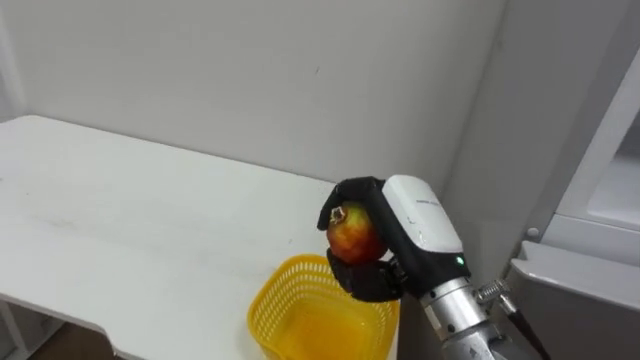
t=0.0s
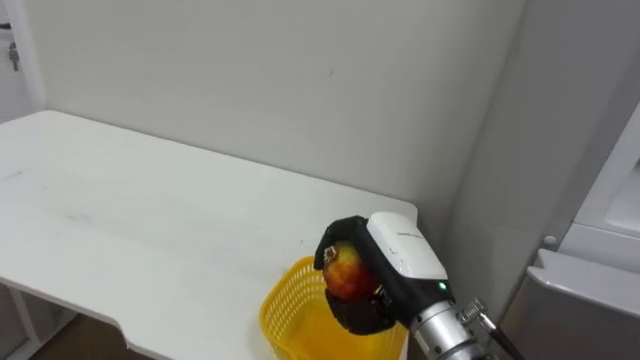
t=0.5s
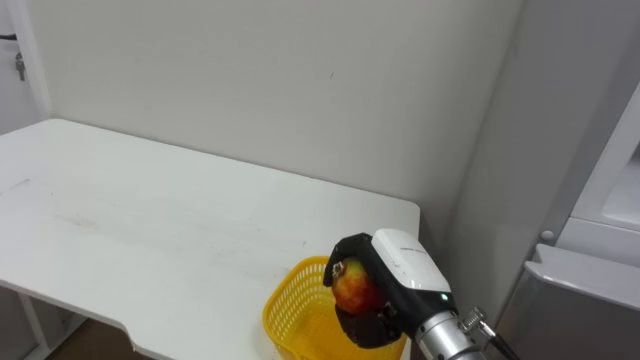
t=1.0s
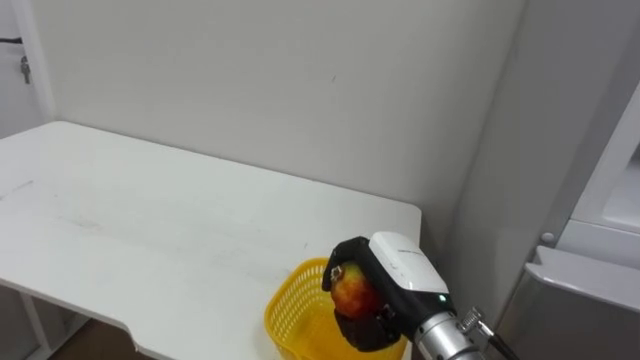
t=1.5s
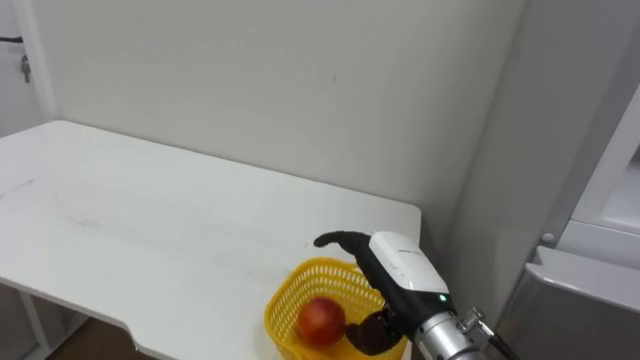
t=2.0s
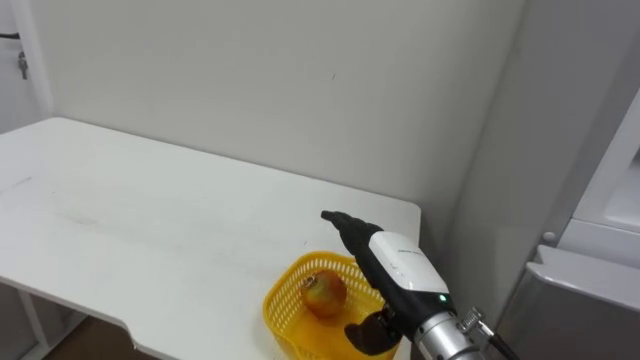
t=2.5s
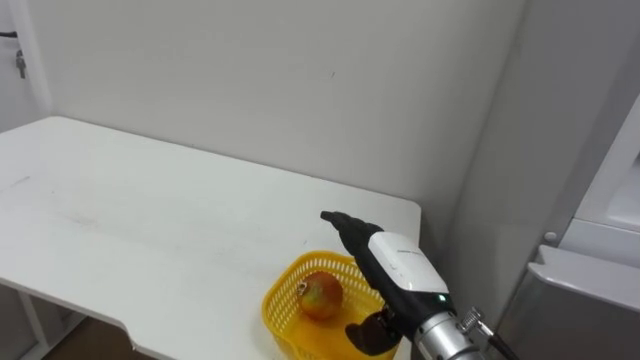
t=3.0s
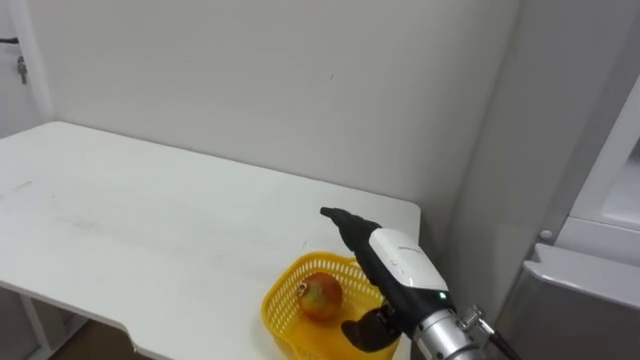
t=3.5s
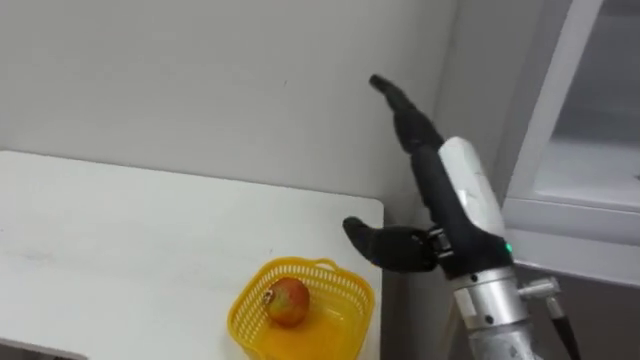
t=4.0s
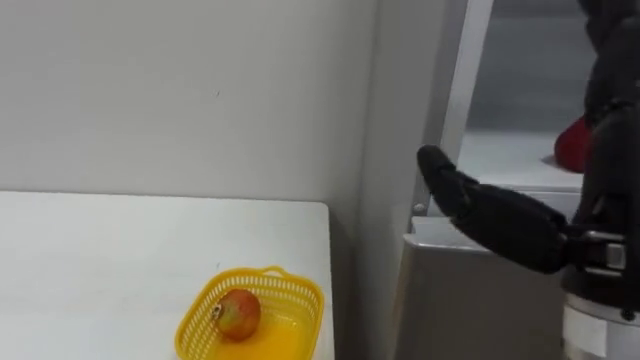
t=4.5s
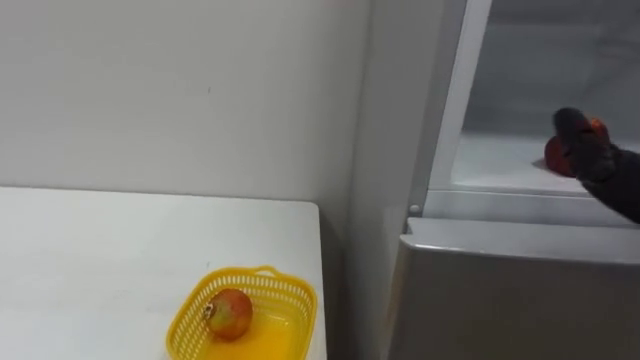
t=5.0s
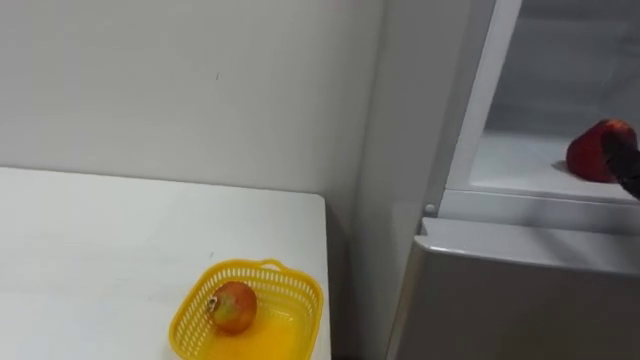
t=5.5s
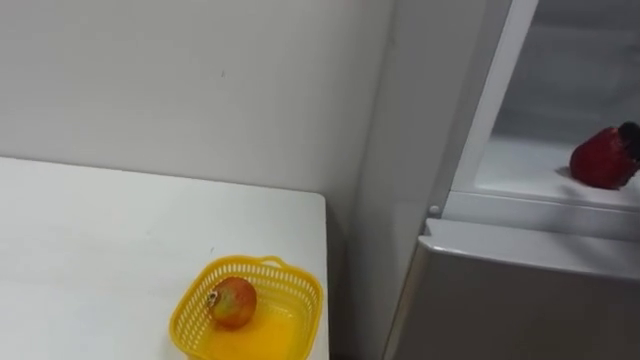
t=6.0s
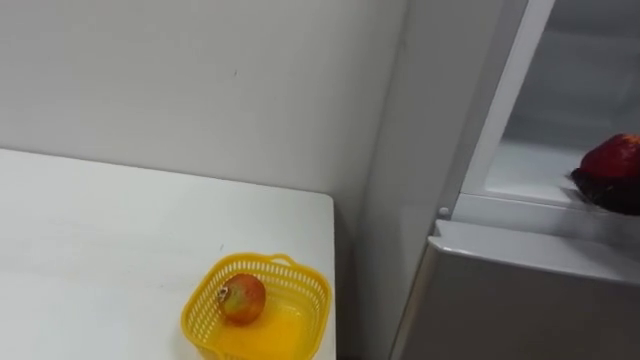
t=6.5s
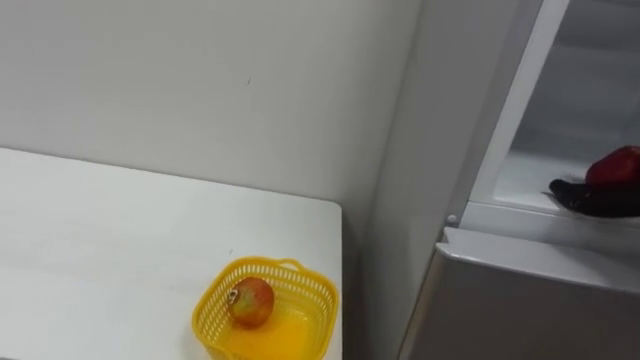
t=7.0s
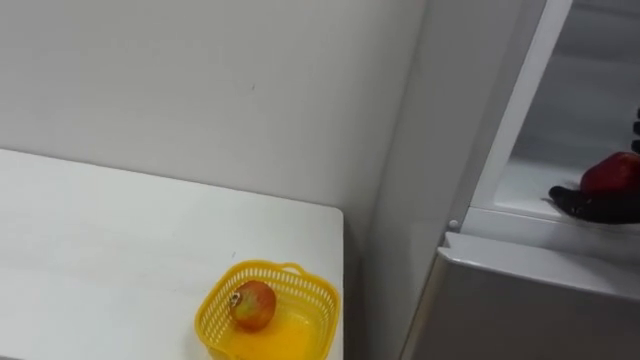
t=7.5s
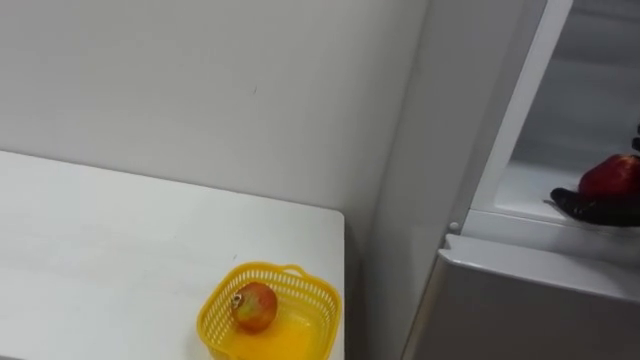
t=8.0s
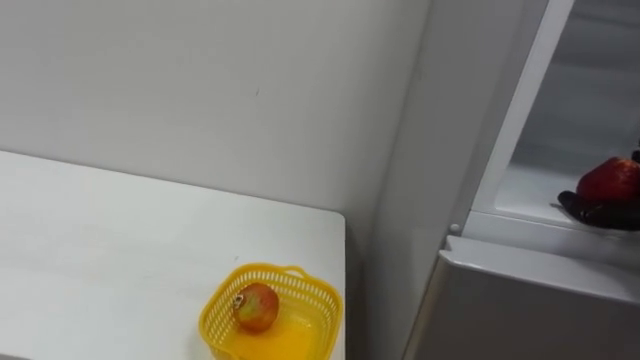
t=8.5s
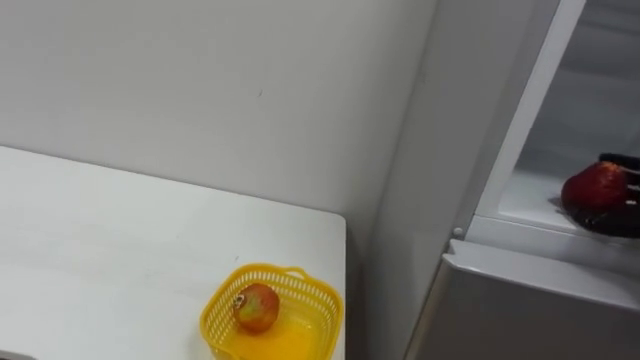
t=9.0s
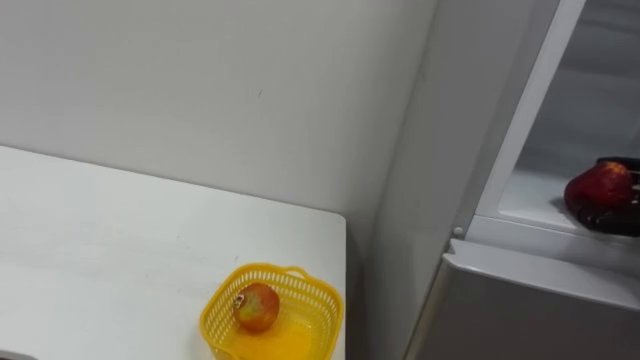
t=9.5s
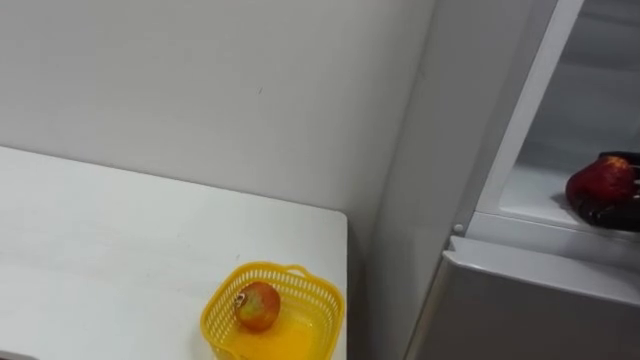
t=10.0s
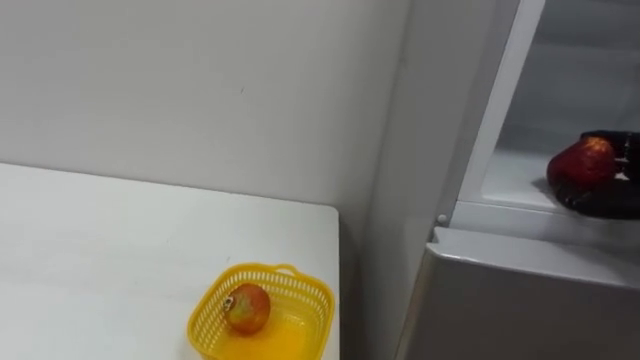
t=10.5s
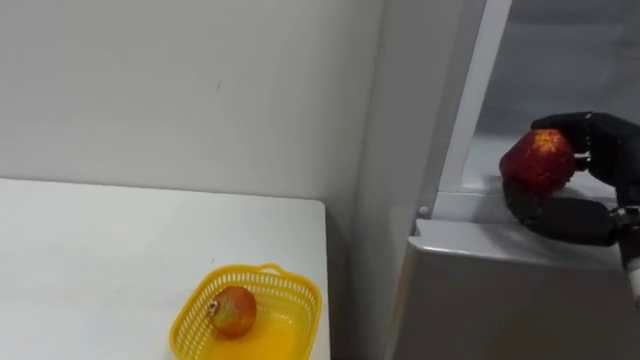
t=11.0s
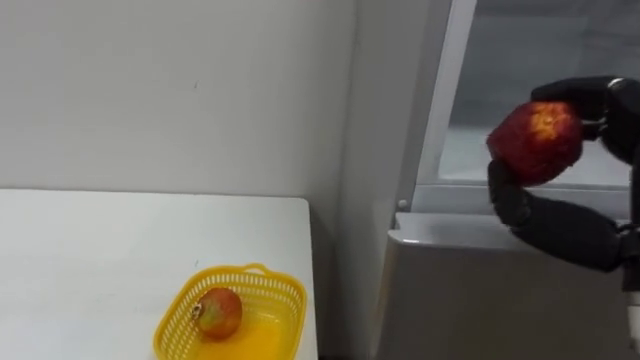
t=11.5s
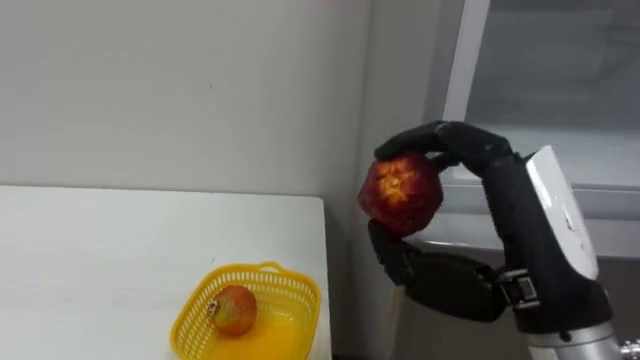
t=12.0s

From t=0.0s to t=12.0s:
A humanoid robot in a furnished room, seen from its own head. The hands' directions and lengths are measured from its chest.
Task of the whole recording: Open the refrigerator door, take out the apple and the pomegranate, place them in the fruit basket on the left, and close the refrigerator door.
From t=0.0s to t=2.0s: The right hand heads downward, covering some 10 cm, and opens.
From t=2.0s to t=4.0s: The right hand goes some 10 cm upward.

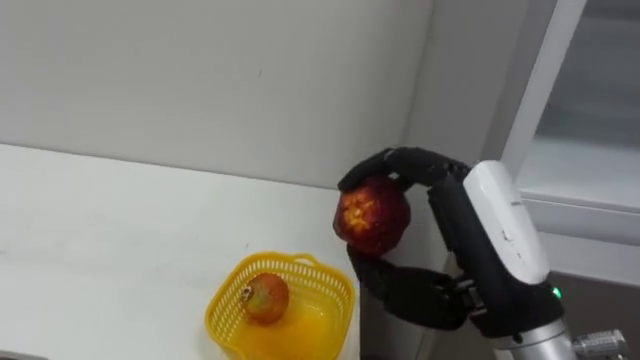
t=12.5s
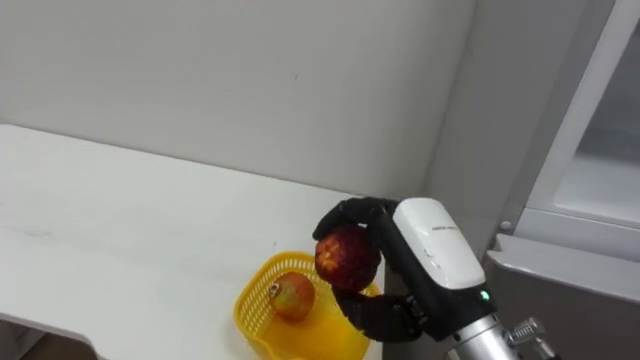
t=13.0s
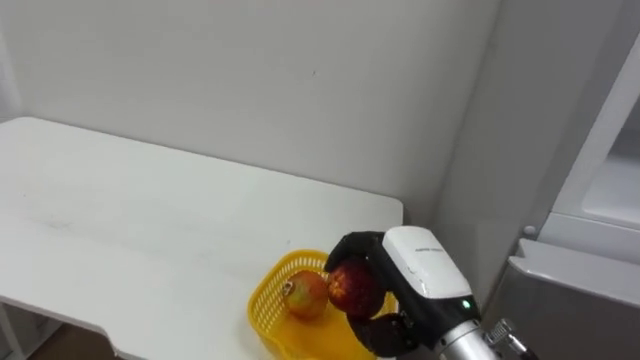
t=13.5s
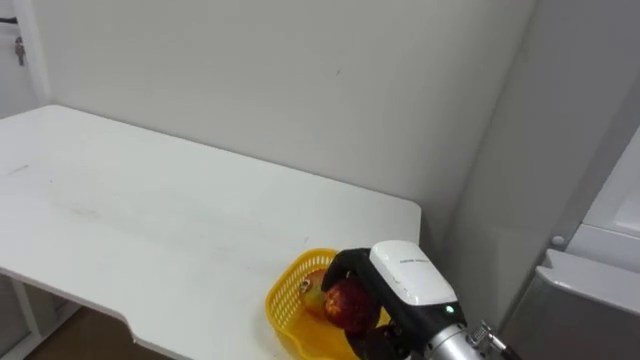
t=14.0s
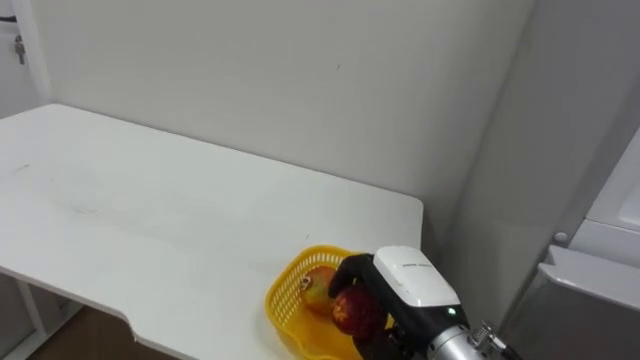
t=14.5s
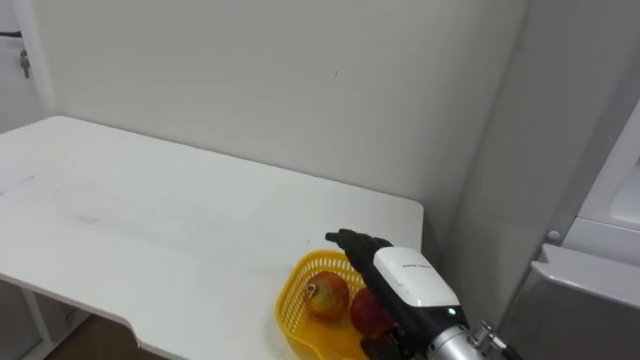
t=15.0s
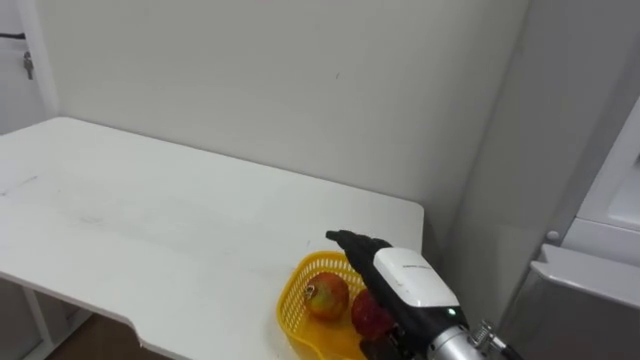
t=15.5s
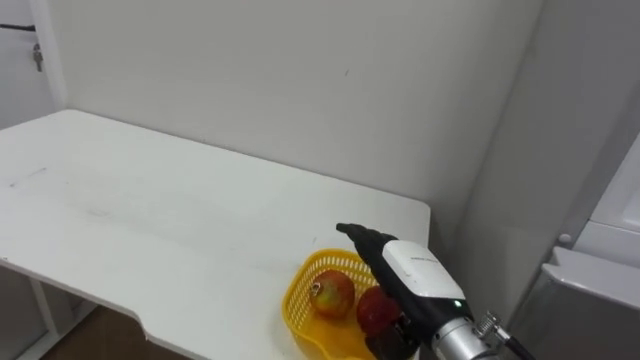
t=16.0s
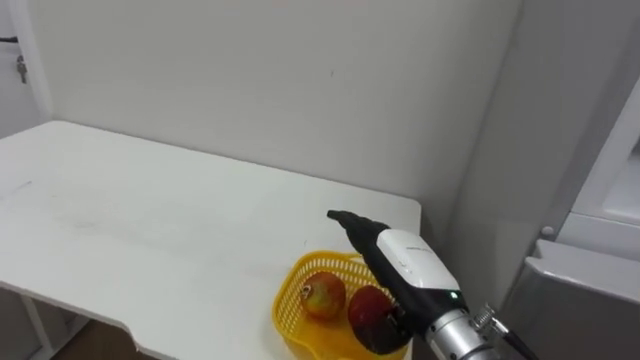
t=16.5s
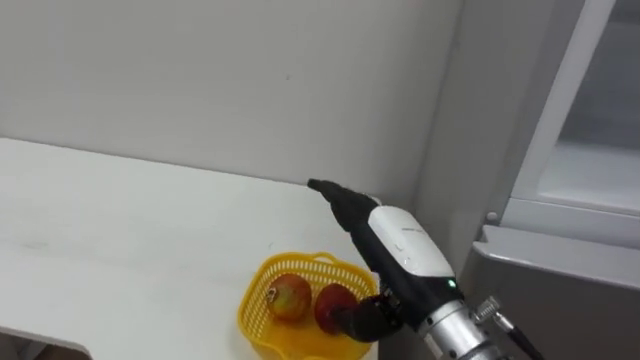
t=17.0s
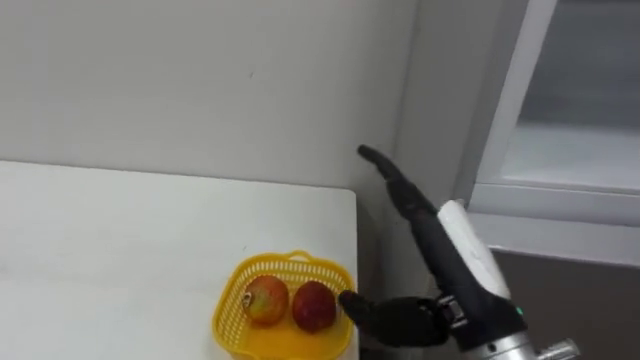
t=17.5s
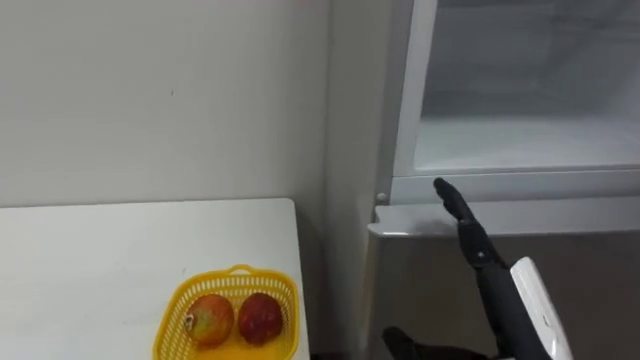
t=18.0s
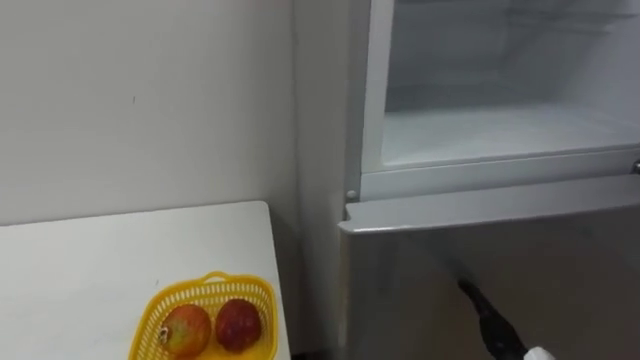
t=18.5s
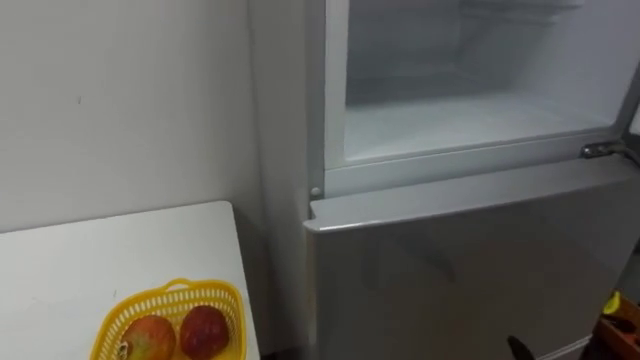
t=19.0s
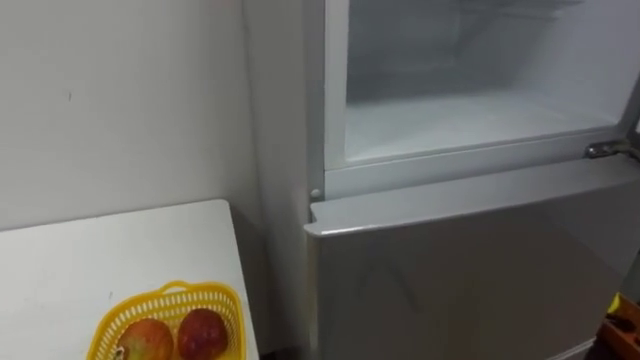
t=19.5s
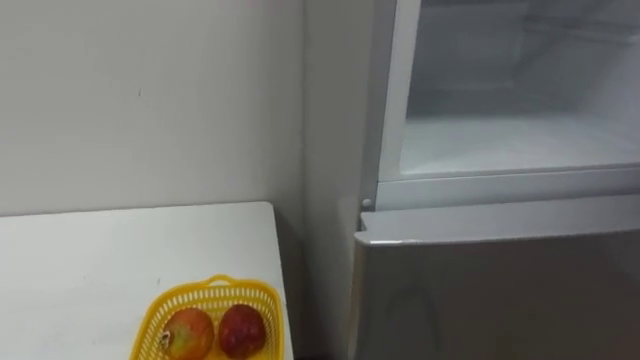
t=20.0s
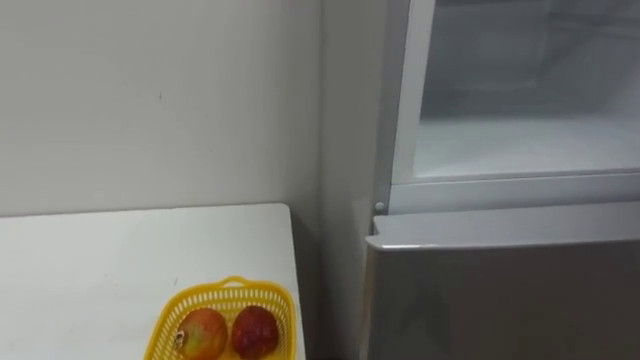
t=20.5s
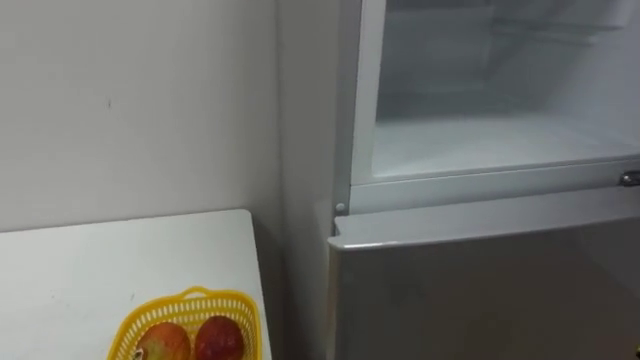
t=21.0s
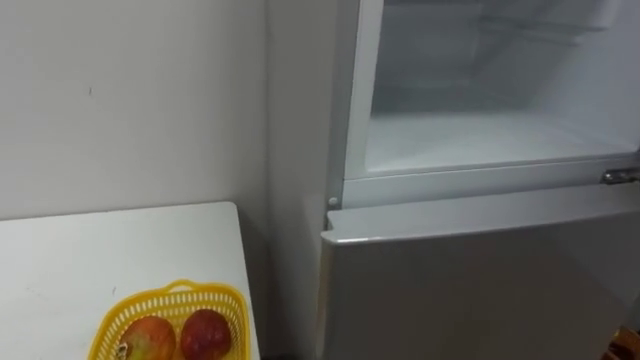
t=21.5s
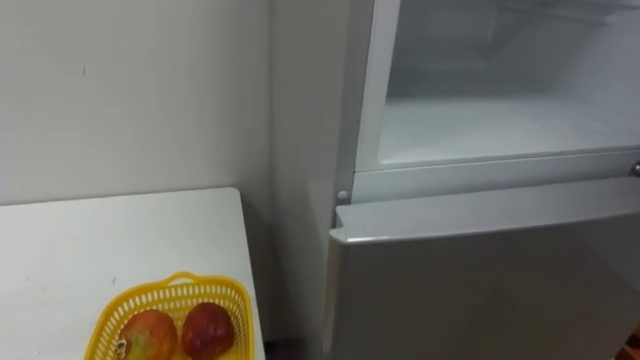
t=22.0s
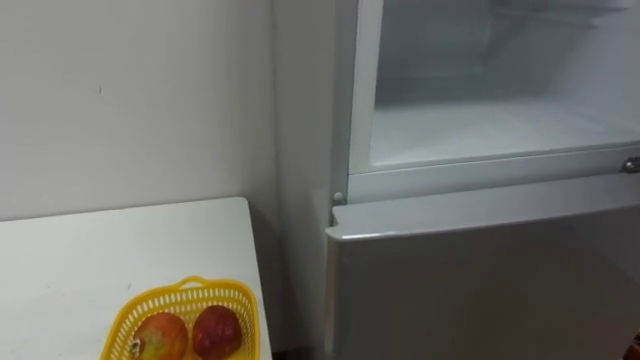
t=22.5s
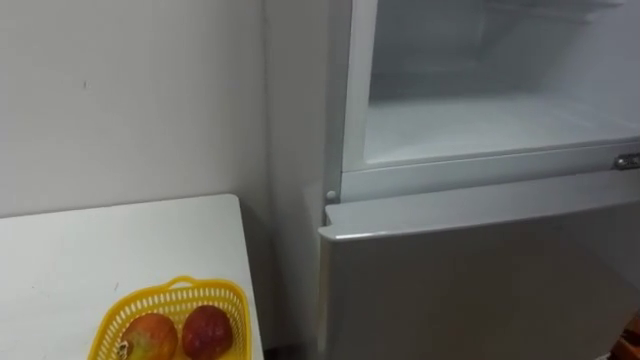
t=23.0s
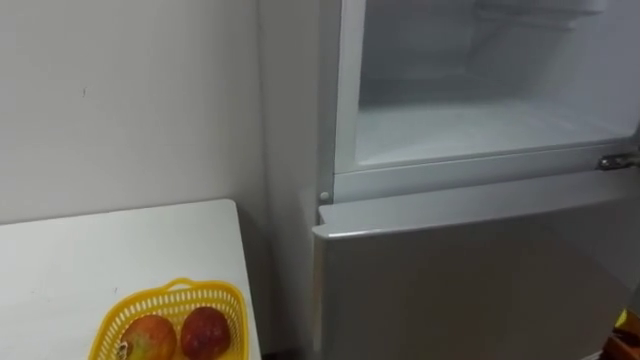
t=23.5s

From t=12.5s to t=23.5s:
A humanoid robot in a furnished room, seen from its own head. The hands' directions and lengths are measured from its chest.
Task of the whole recording: Open the refrigerator door, take out the apple and the pomegranate, place them in the fruit basket on the left, and close the refrigerator door.
From t=12.5s to t=14.5s: The right hand moves downward and forward, roughly 15 cm.
From t=14.5s to t=16.0s: The right hand opens its fingers.
From t=16.0s to t=18.0s: The right hand shifts roughly 15 cm backward, to the right and upward.
